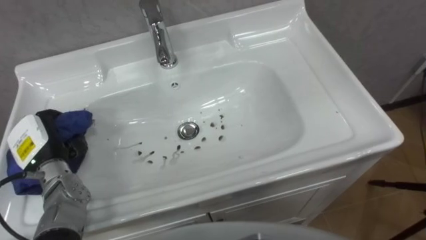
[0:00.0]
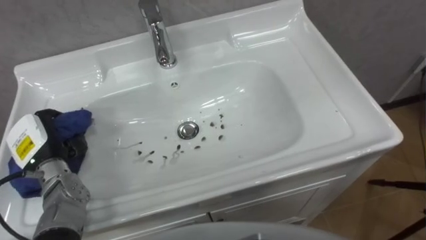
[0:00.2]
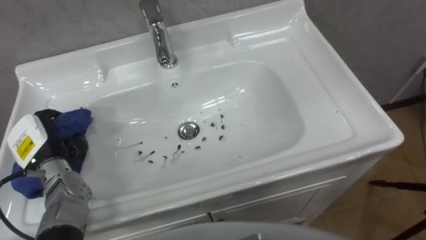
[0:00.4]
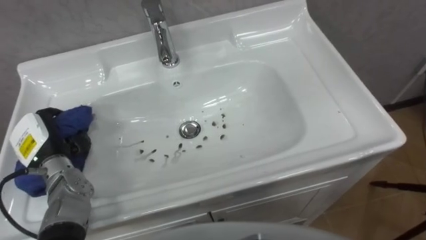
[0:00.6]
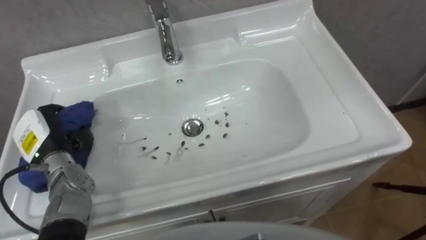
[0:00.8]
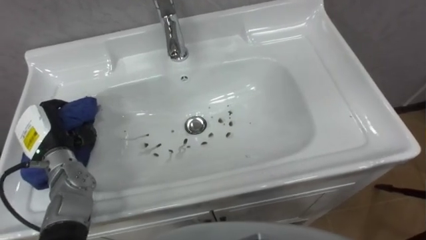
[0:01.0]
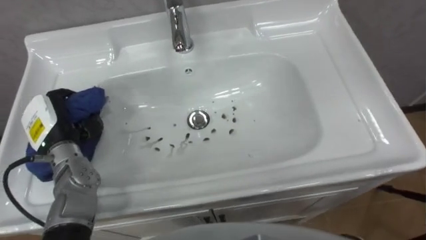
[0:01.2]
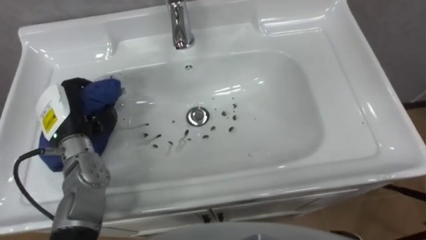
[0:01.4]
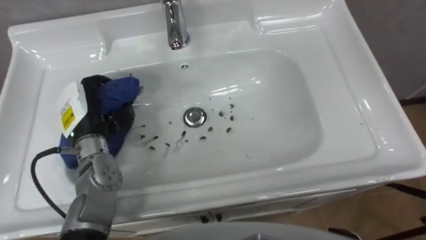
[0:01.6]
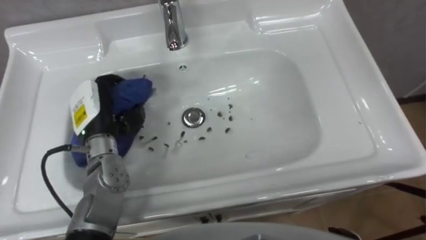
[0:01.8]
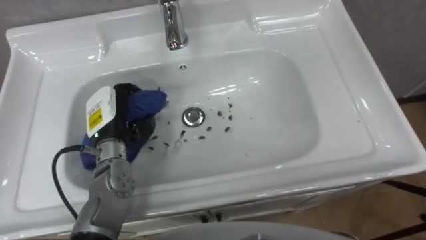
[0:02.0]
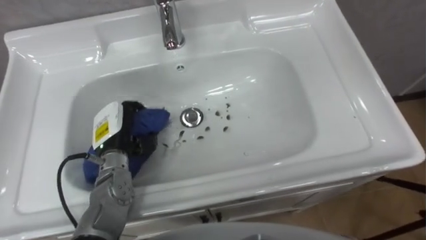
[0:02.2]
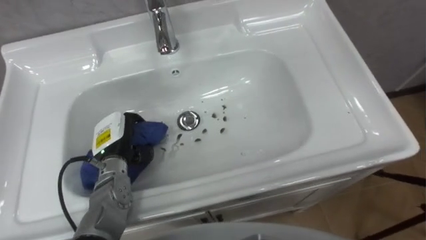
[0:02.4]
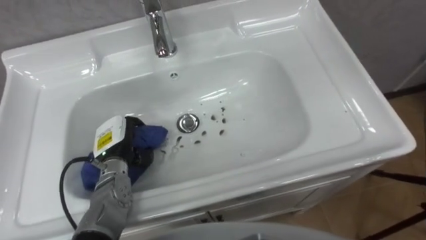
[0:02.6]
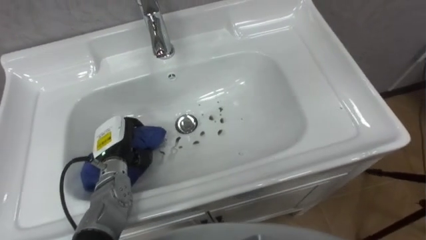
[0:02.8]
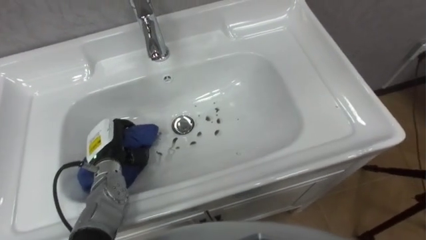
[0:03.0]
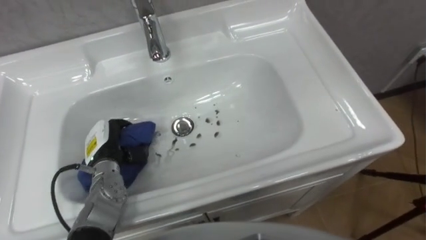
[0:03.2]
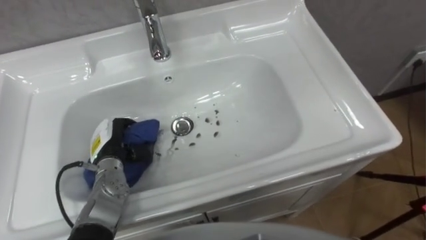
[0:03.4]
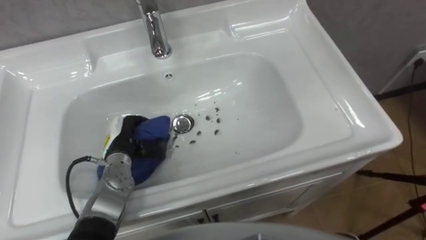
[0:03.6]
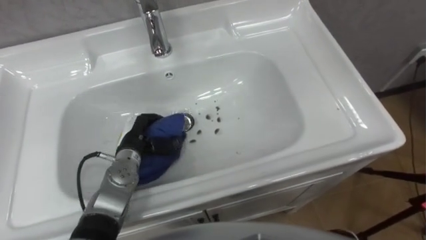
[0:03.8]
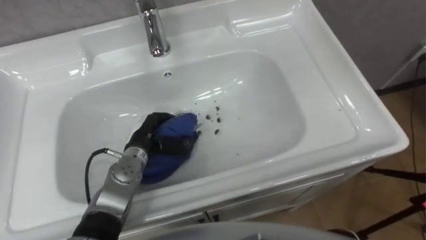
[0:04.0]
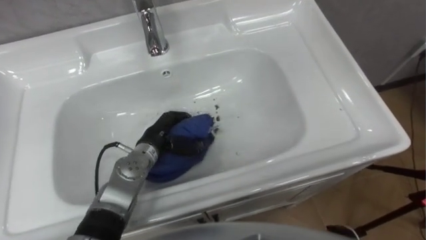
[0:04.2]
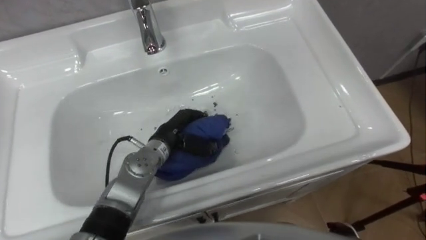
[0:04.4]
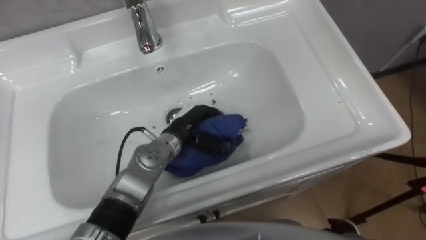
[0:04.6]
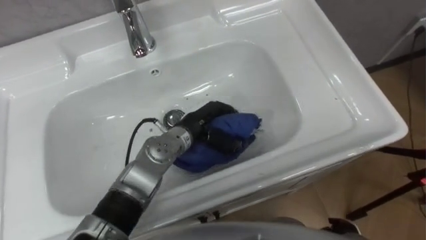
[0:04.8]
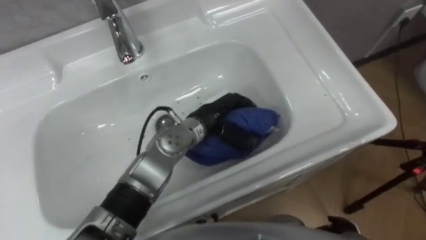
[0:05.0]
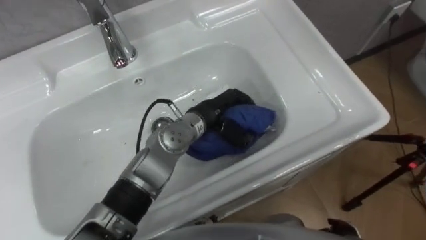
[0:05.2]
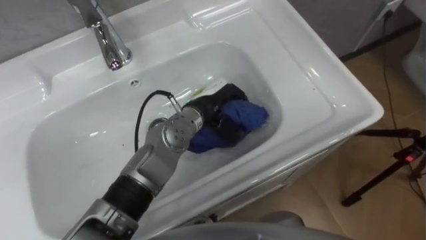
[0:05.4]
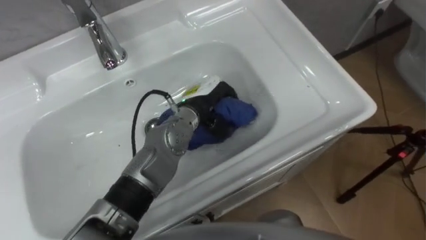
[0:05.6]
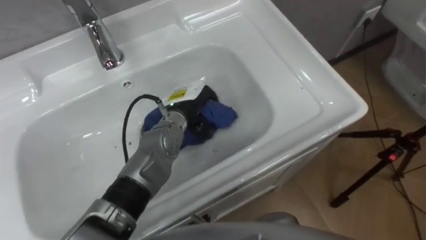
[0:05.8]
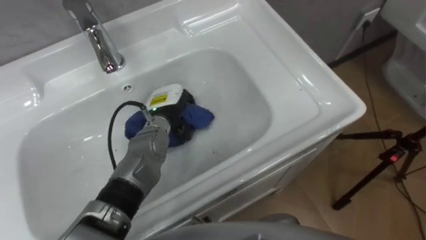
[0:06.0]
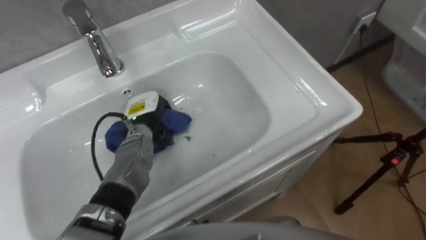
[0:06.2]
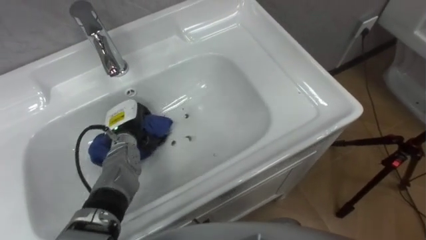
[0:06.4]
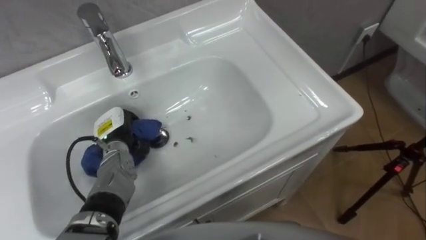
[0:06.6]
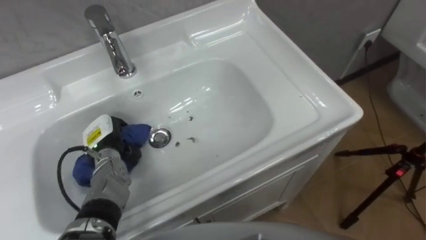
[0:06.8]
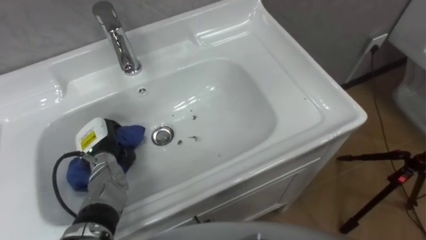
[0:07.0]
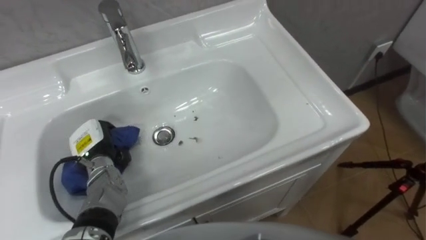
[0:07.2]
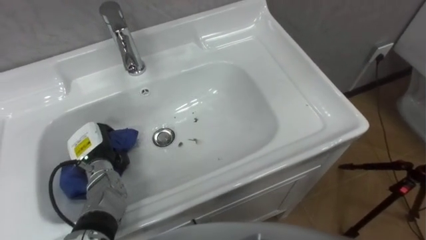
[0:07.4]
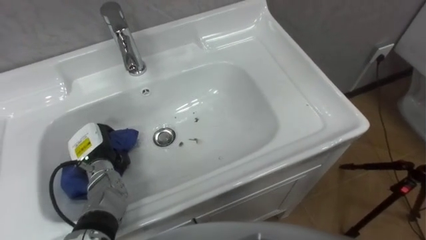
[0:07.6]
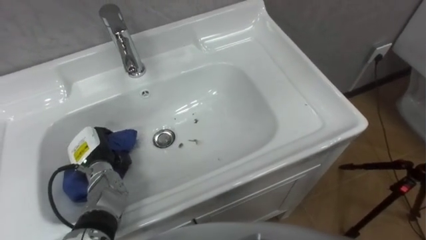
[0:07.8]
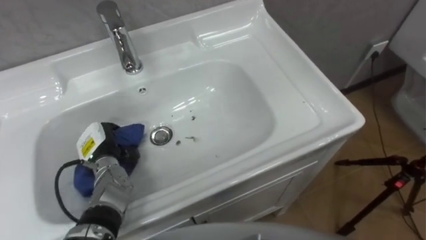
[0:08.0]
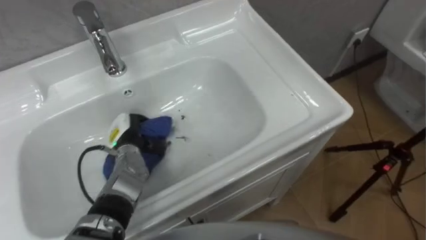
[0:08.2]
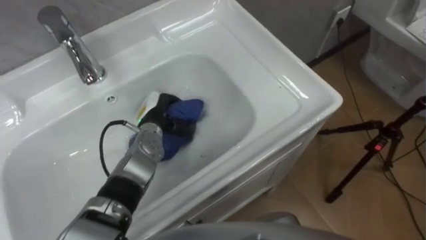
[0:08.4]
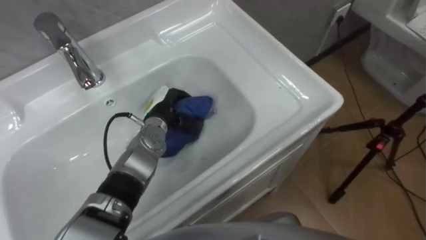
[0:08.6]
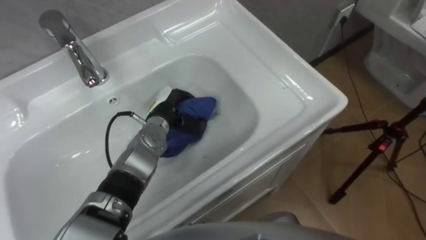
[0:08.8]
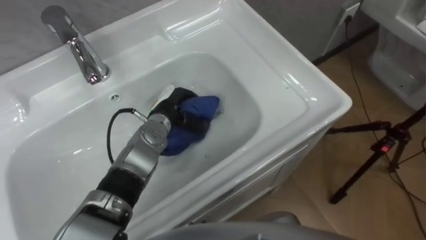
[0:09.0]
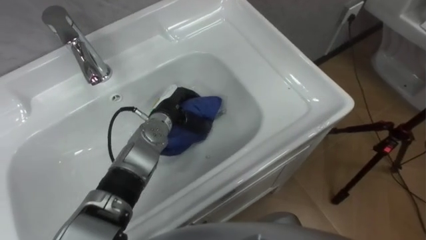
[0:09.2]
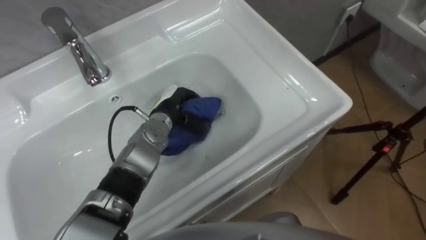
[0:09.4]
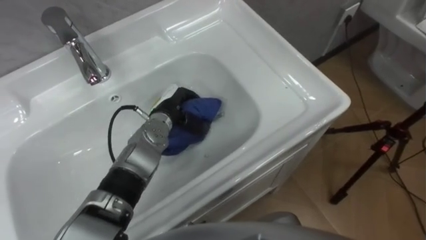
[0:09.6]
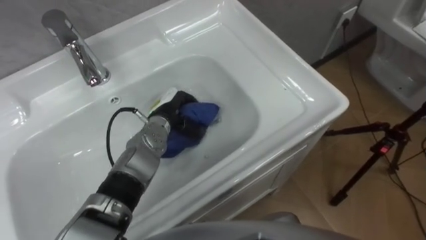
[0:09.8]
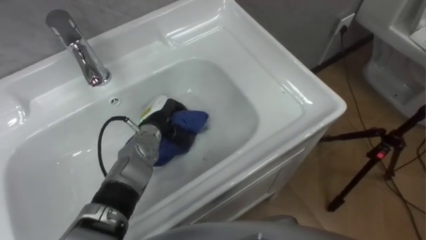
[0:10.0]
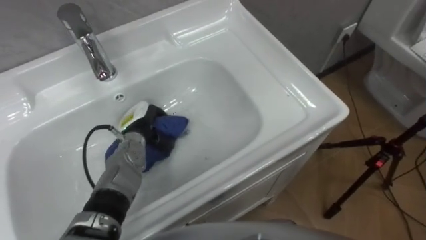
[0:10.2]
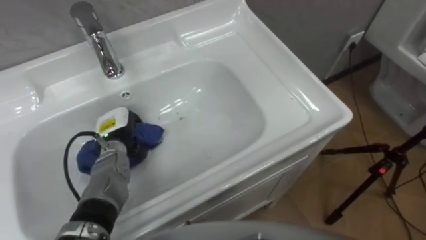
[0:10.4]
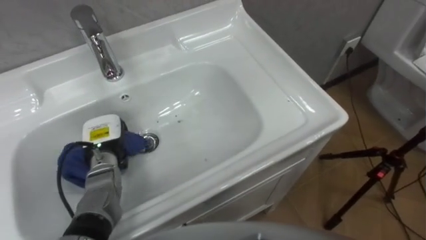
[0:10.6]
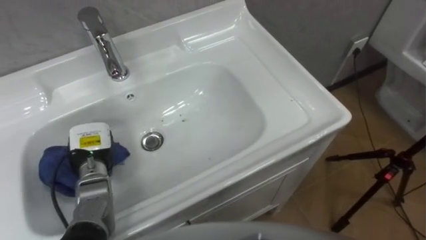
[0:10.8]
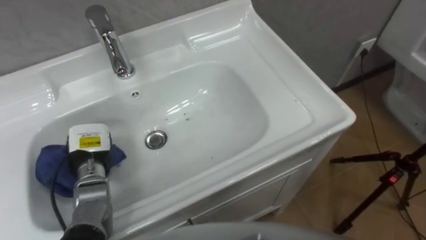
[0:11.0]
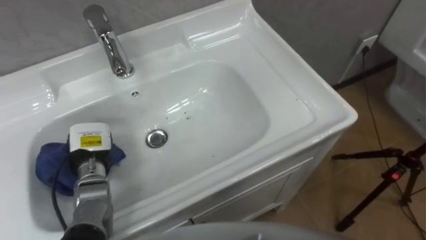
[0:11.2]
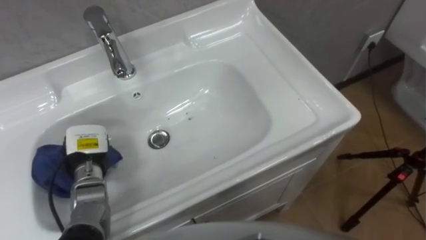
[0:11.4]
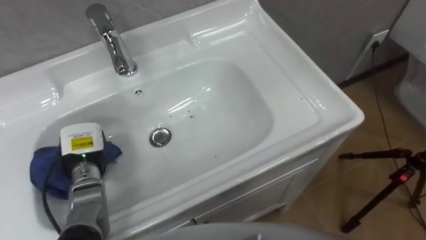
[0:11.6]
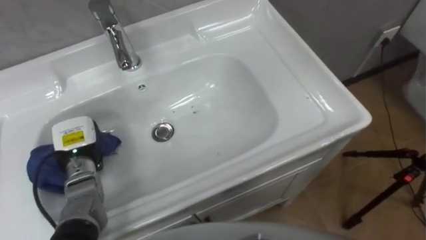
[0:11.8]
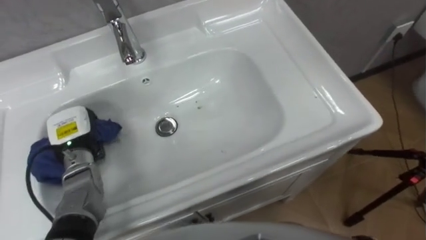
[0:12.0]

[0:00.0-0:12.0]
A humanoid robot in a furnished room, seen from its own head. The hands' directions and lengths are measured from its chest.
Task of the whole recording: Use the cloth on the right to wipe away the black stain in the sink.
0:00.0 to 0:01.6: The left hand goes about 10 cm to the right, upward and forward.
0:01.6 to 0:03.0: The left hand moves downward, roughly 10 cm.
0:03.0 to 0:04.4: The left hand moves to the right, about 15 cm.
0:04.4 to 0:06.0: The left hand travels forward by about 5 cm, and goes to the right and returns, some 10 cm each way.
0:06.0 to 0:07.6: The left hand heads to the left and backward, covering approximately 20 cm.
0:07.6 to 0:09.0: The left hand moves to the right and forward, some 20 cm.
0:09.0 to 0:10.4: The left hand shifts some 10 cm to the left.
0:10.4 to 0:12.0: The left hand shifts roughly 5 cm to the left.

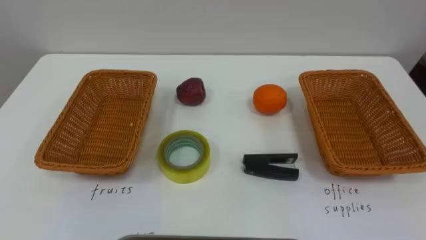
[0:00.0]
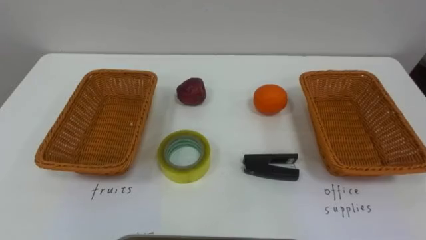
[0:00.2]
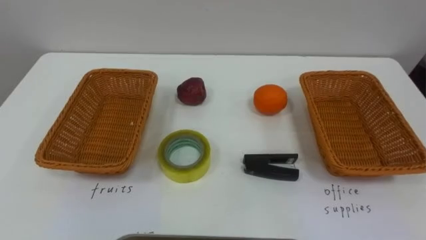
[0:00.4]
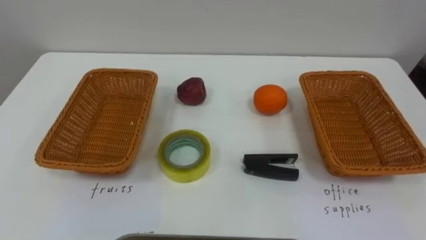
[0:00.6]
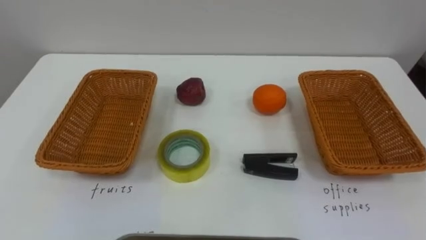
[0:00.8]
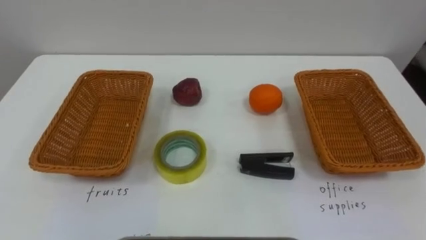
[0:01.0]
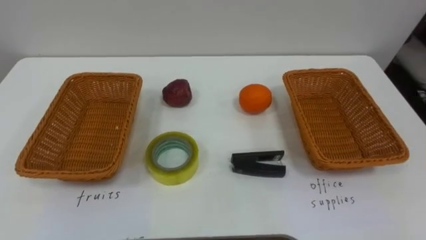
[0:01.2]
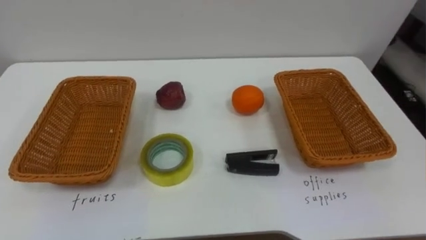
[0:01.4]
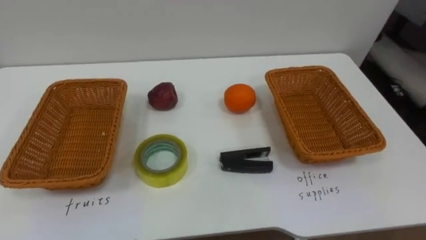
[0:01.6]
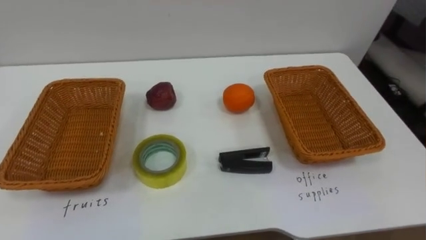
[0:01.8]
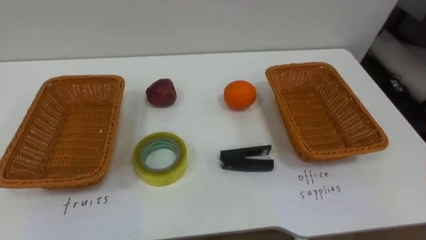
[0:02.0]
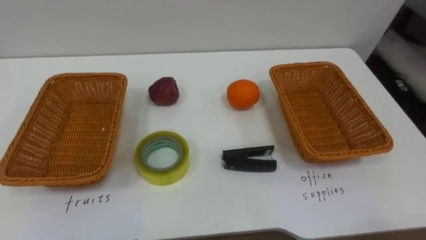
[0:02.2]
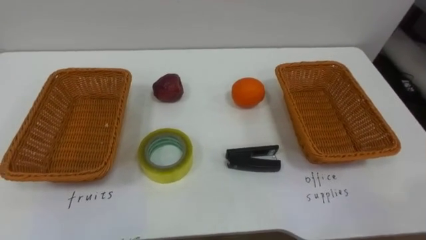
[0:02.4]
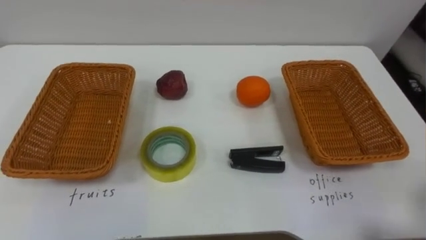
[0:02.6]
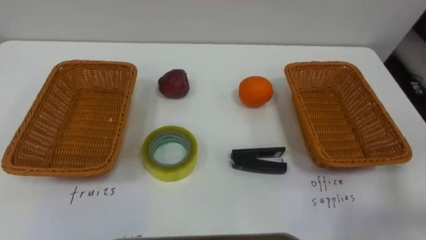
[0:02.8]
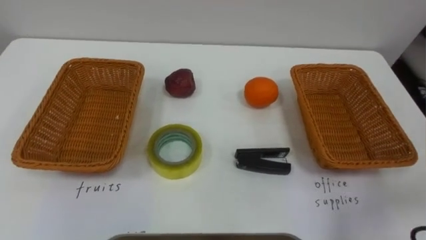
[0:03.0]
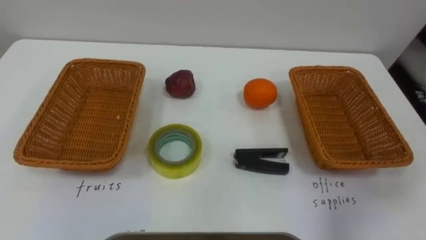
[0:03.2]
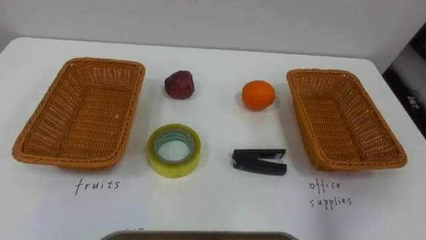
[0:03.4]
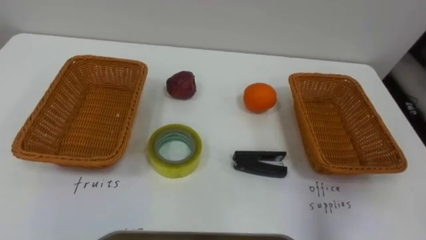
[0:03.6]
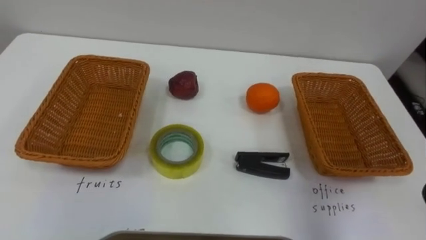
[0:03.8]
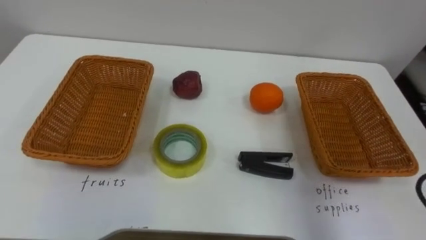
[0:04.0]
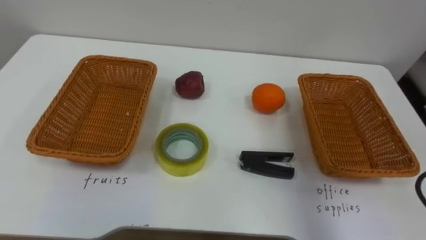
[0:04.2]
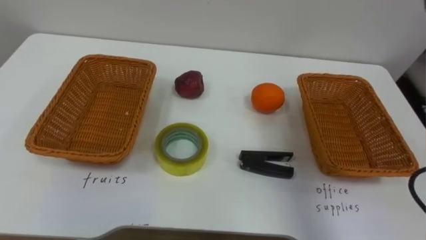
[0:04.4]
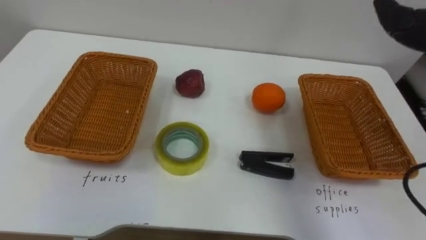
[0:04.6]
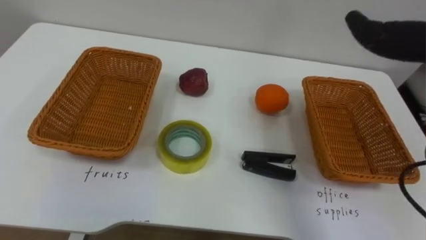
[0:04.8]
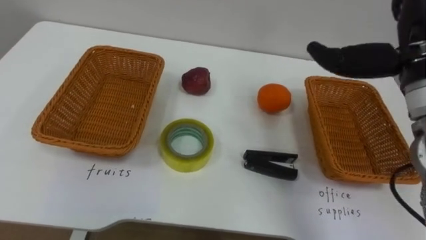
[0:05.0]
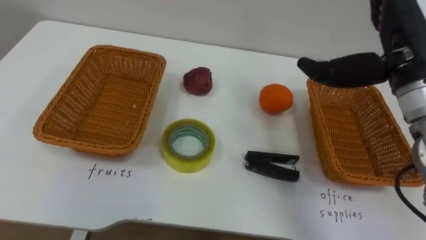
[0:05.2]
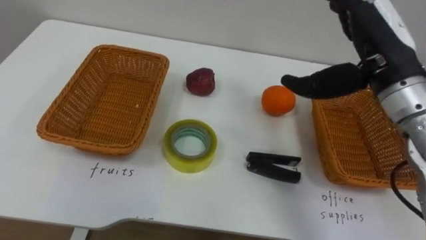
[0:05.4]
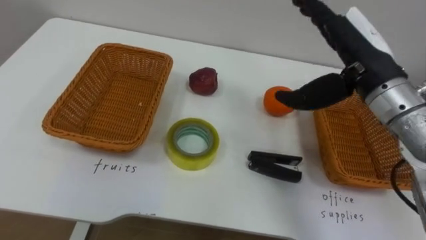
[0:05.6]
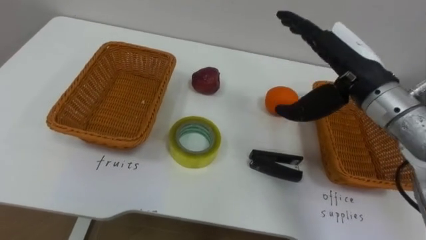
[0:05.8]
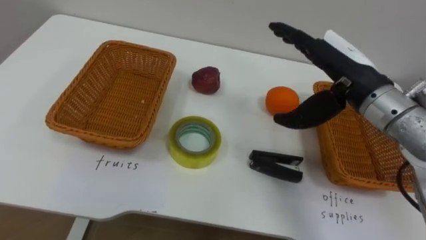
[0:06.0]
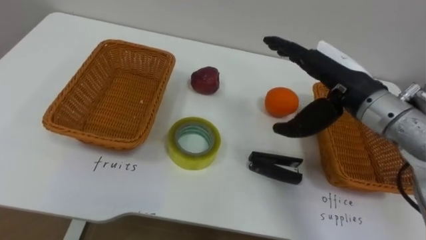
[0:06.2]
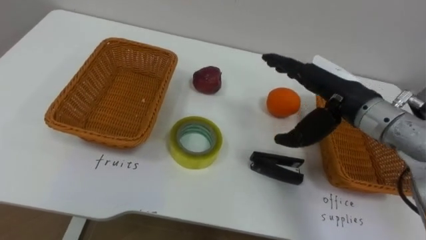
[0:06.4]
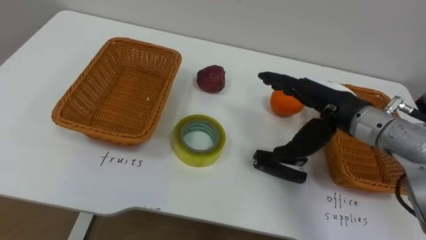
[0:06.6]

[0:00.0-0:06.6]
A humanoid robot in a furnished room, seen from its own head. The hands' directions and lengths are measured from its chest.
Task of the whole recording: Separate the items on the table and place them into the two baskets.
0:05.0 to 0:06.6: The right hand heads downward and to the left, covering approximately 15 cm.
